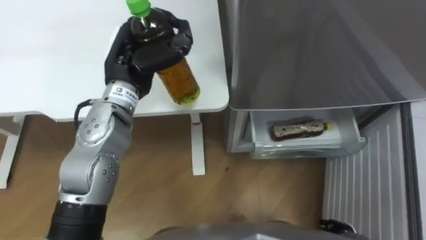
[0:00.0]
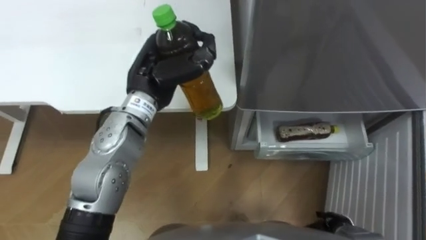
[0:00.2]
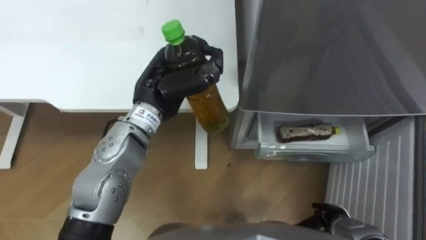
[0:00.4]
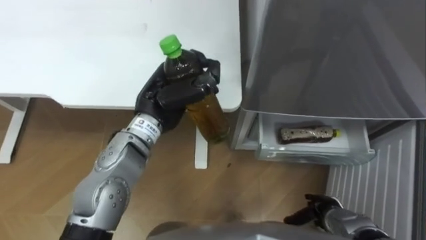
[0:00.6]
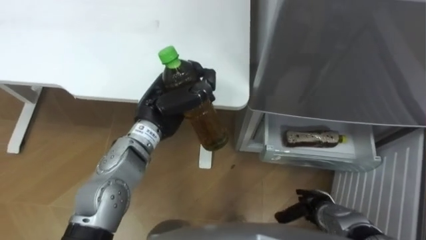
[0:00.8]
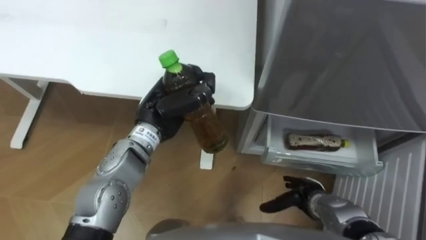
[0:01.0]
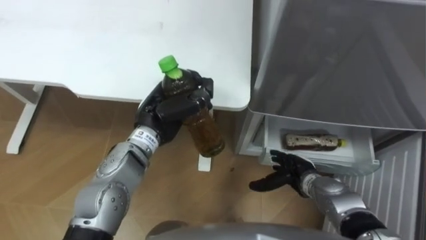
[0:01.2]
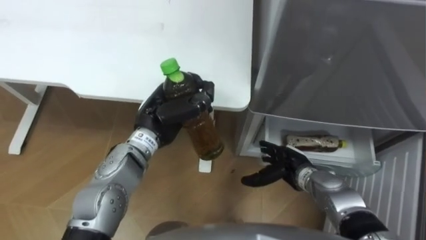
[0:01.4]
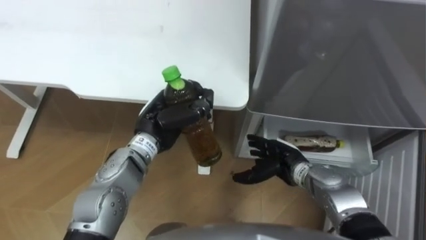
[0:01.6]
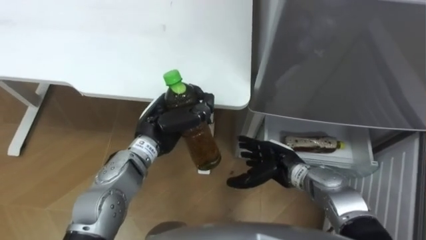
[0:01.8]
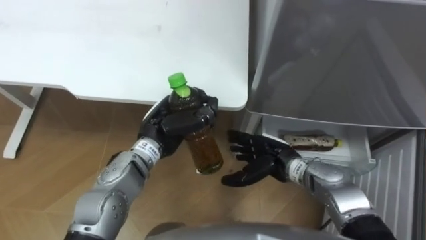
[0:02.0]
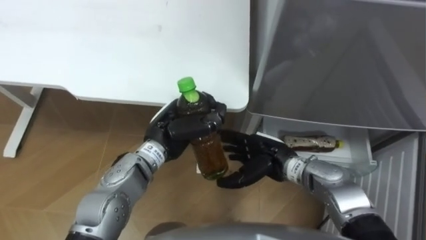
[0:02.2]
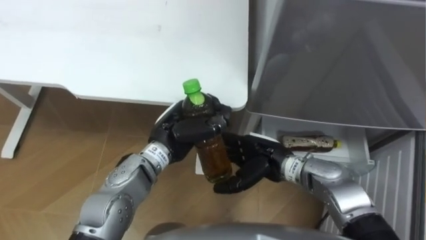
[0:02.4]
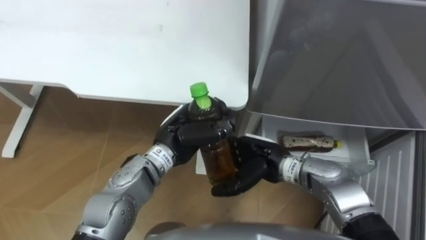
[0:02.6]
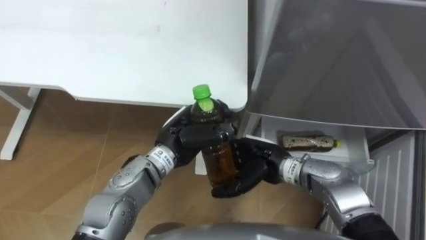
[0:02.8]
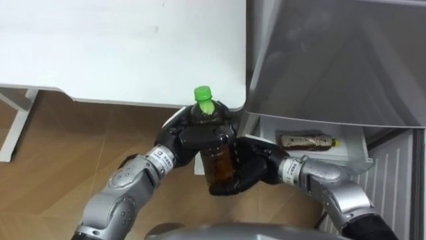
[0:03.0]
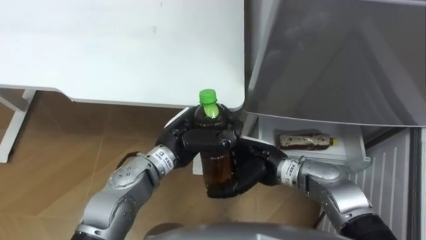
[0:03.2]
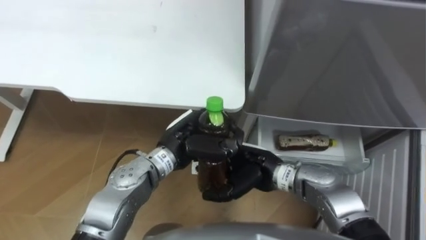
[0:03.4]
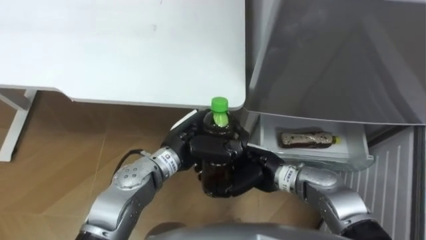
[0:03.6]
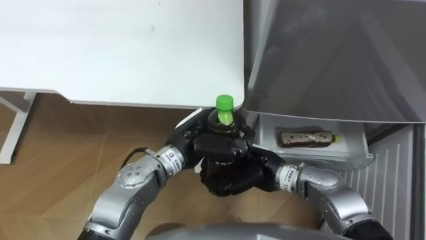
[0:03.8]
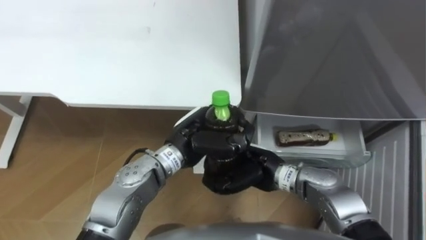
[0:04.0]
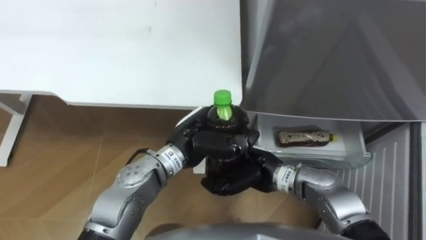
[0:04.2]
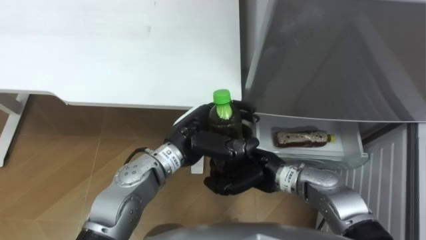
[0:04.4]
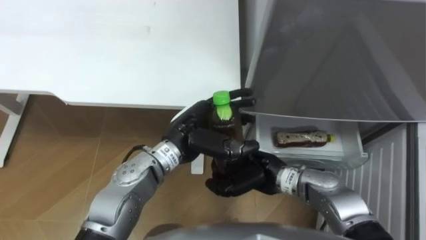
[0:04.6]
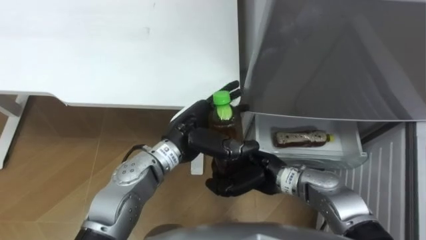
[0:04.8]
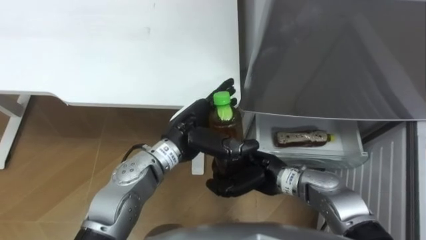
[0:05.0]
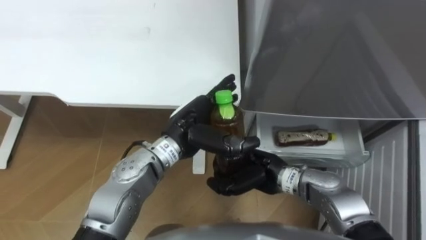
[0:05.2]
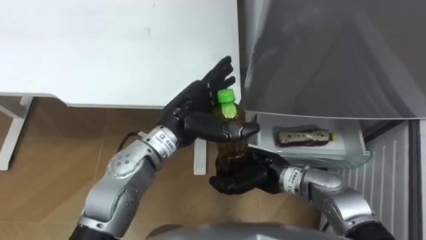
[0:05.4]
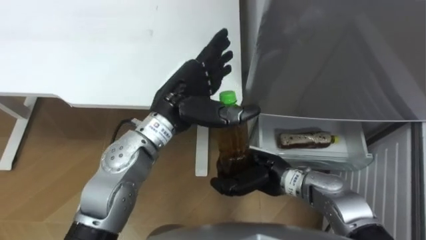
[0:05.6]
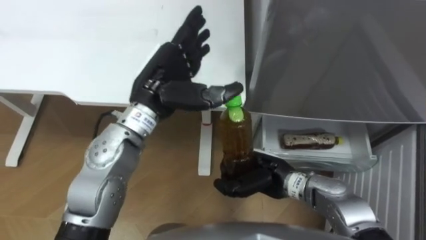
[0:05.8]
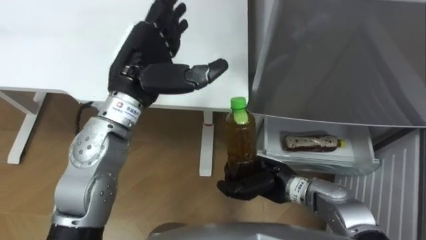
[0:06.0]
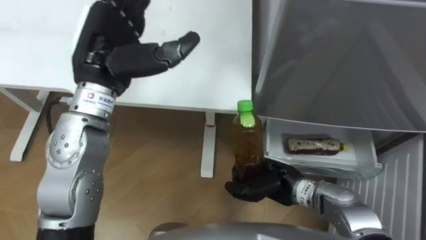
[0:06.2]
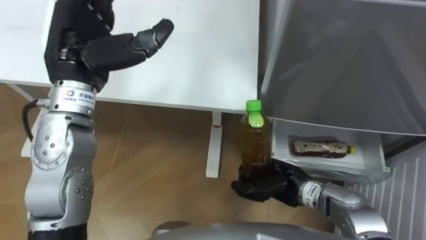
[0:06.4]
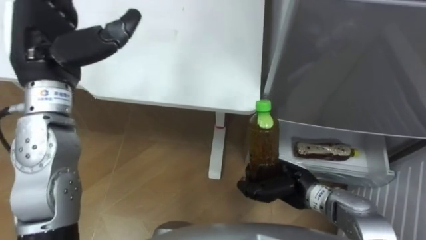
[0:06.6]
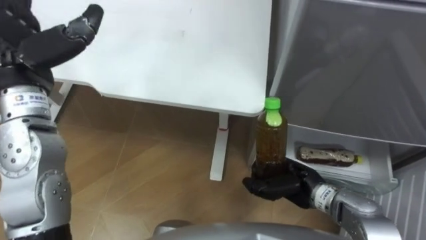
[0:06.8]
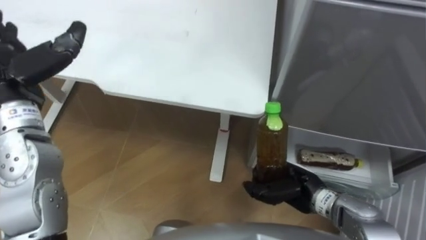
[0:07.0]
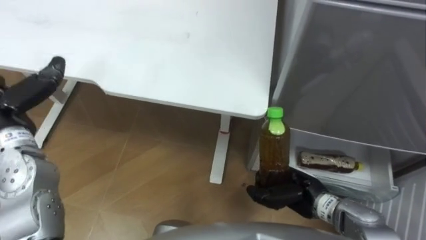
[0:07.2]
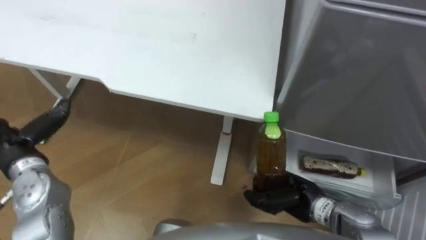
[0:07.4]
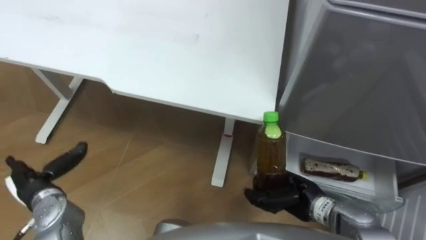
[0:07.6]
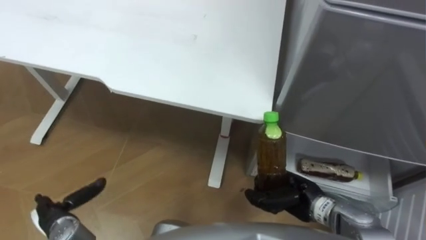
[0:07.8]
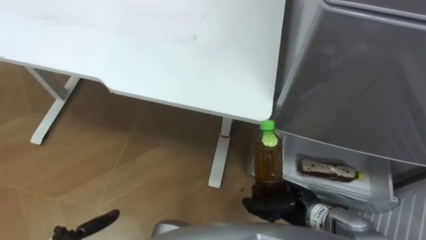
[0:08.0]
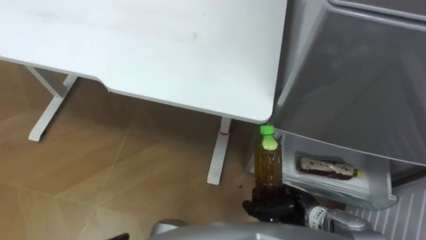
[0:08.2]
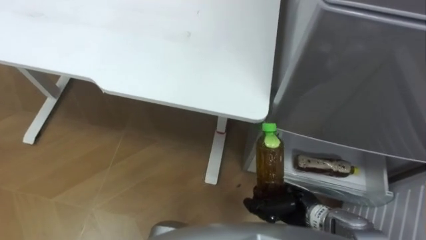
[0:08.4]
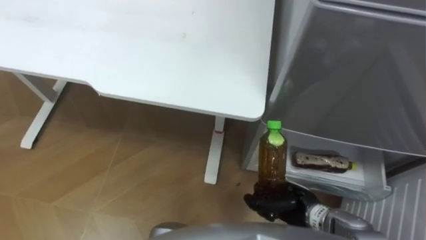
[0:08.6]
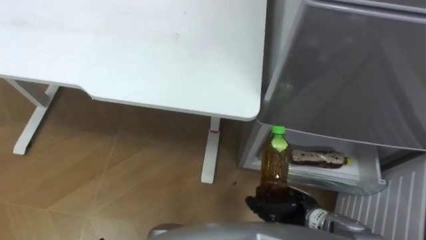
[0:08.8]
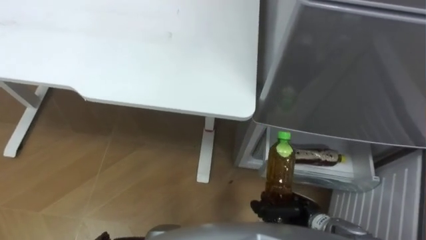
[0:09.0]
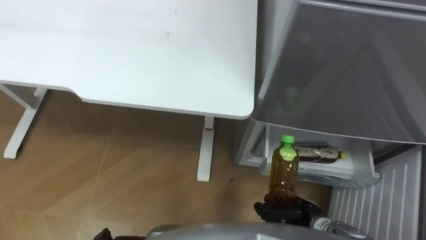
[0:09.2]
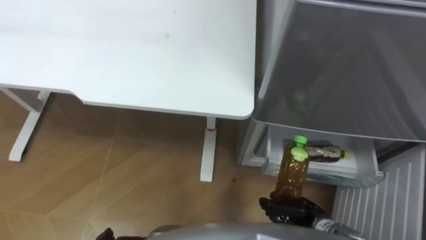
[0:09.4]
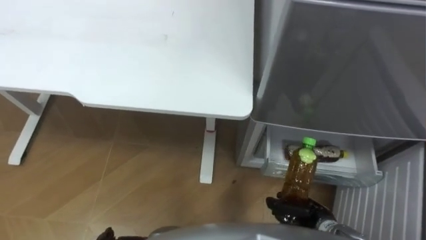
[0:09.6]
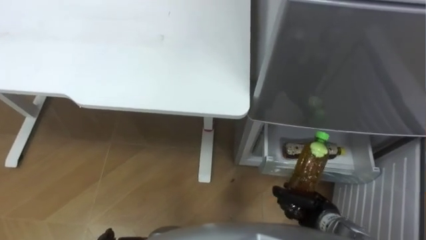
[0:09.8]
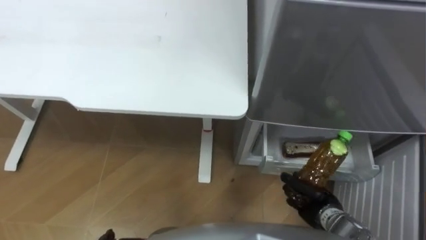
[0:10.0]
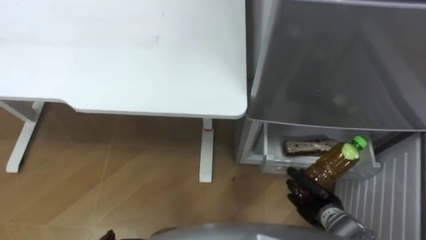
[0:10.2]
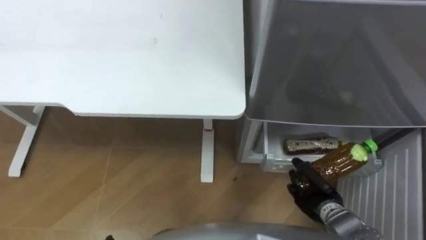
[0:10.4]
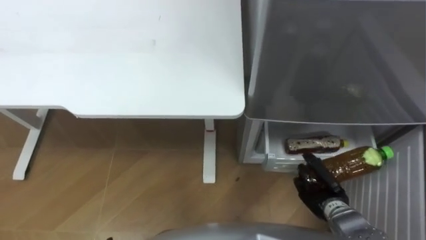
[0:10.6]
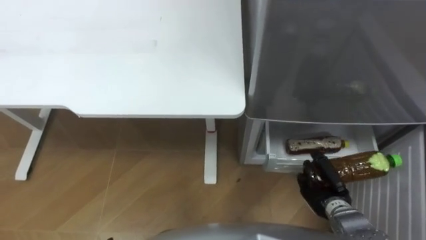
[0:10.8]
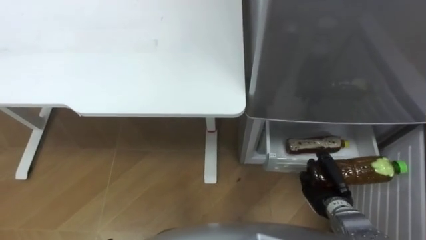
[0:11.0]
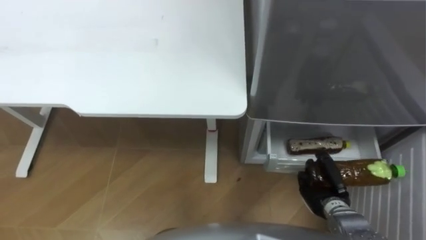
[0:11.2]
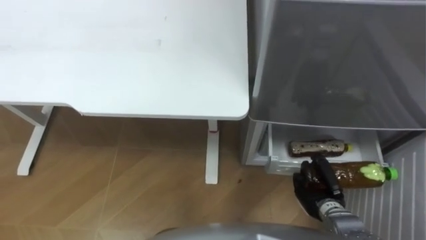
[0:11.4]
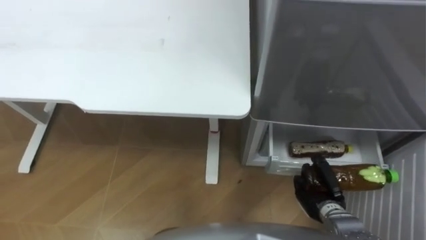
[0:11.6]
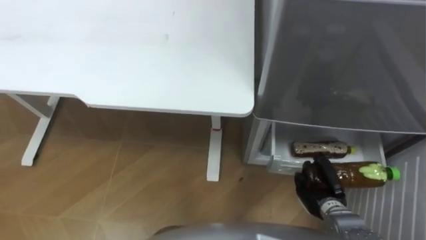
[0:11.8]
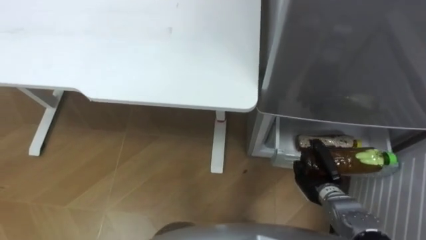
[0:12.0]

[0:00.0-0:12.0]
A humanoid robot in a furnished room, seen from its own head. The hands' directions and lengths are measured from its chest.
Task of the whole recording: Place the drink on the table on the bottom shelf of the refrigerator, then close the drawer and the refrigerator door.
0:00.0 to 0:01.6: The right hand travels forward, to the left and upward by approximately 20 cm. Meanwhile the left hand goes roughly 10 cm downward and backward.
0:01.6 to 0:03.0: The right hand moves to the left and upward, about 10 cm.
0:03.0 to 0:04.4: The right hand closes.
0:04.4 to 0:06.0: The left hand goes some 15 cm upward, to the left and forward, and opens up.
0:06.0 to 0:07.6: The right hand moves to the right, approximately 5 cm.
0:07.6 to 0:09.0: The right hand changes place by roughly 5 cm.
0:09.0 to 0:10.4: The right hand shifts roughly 5 cm to the right.

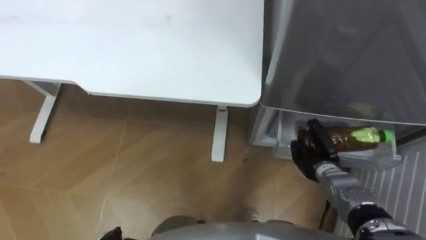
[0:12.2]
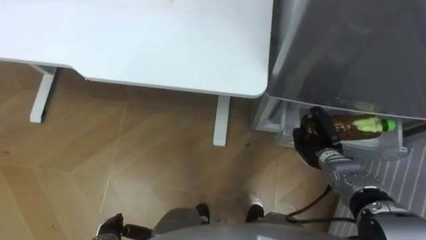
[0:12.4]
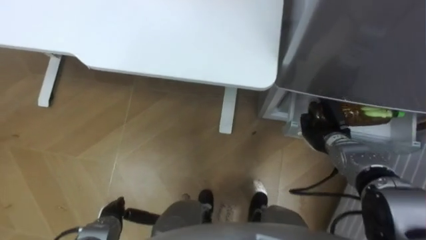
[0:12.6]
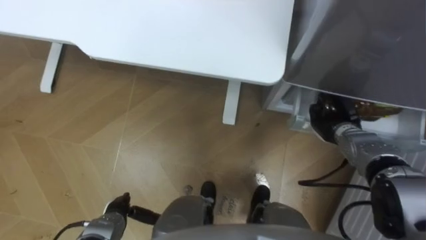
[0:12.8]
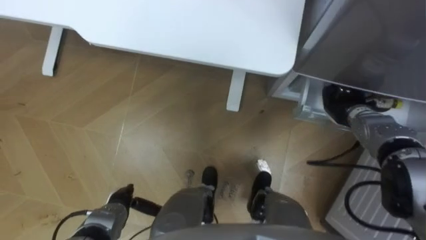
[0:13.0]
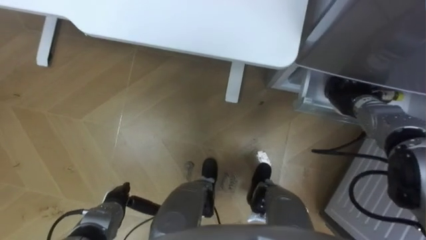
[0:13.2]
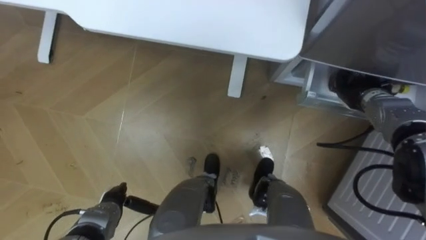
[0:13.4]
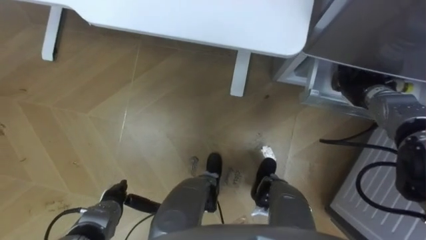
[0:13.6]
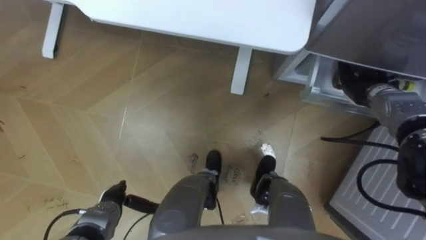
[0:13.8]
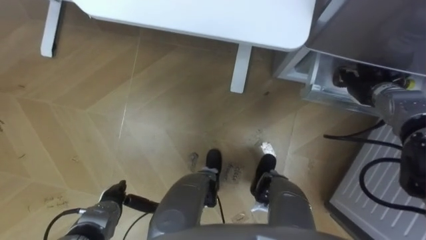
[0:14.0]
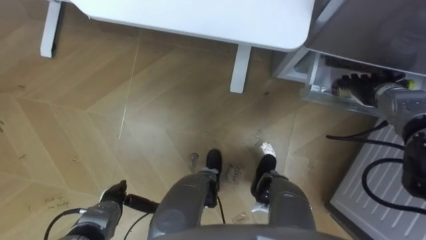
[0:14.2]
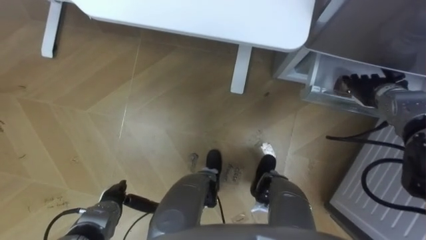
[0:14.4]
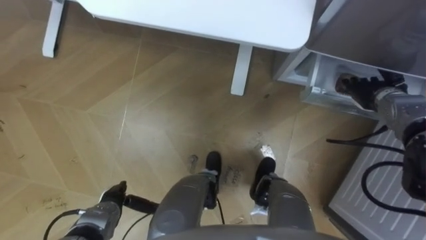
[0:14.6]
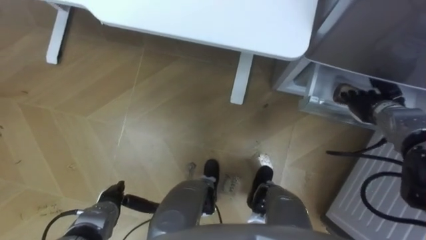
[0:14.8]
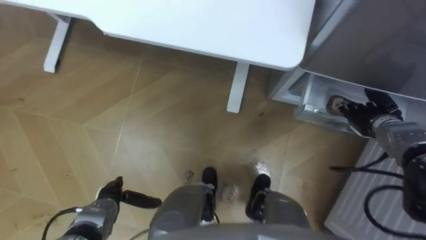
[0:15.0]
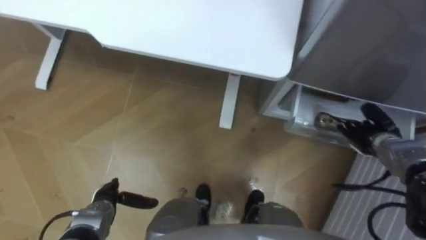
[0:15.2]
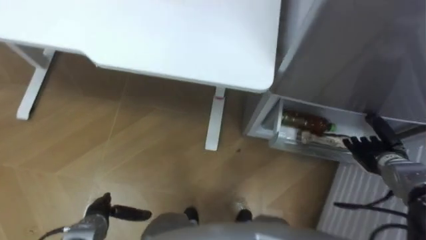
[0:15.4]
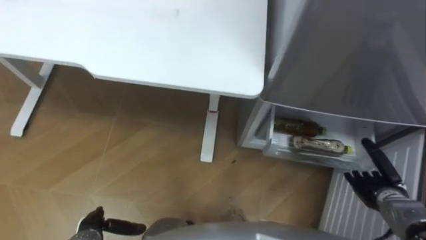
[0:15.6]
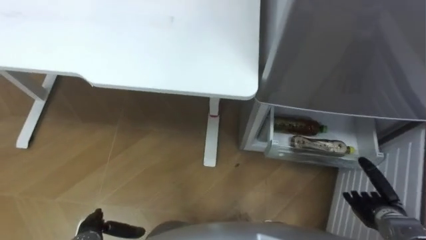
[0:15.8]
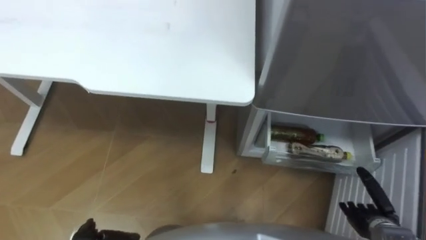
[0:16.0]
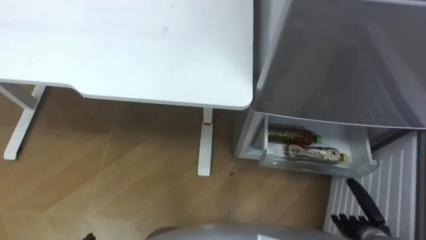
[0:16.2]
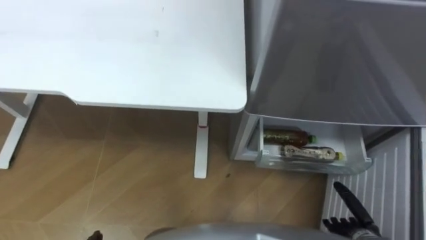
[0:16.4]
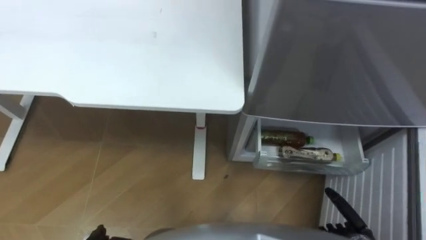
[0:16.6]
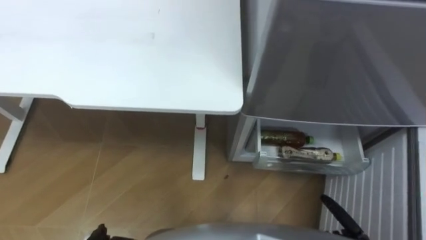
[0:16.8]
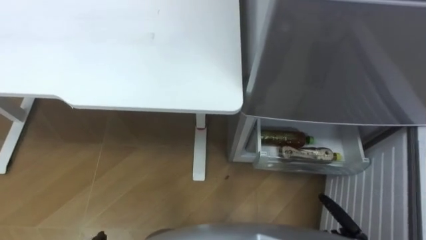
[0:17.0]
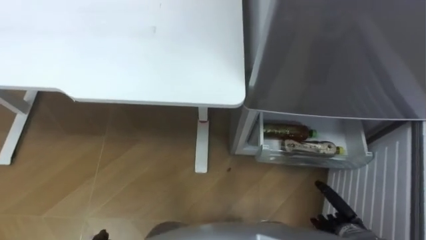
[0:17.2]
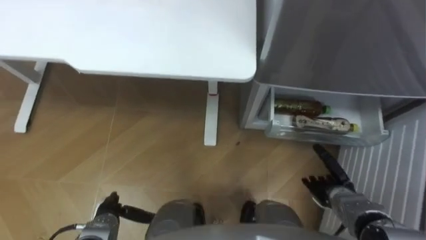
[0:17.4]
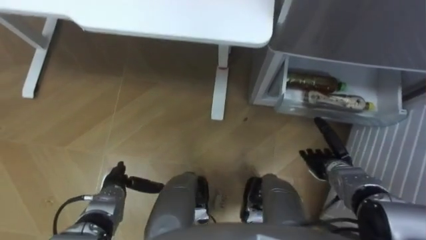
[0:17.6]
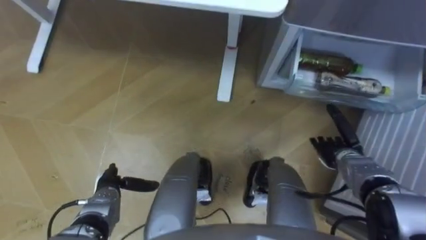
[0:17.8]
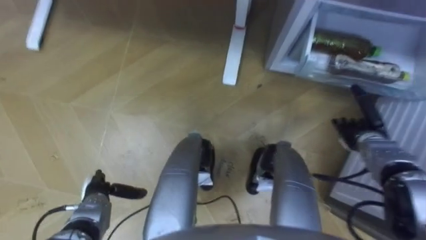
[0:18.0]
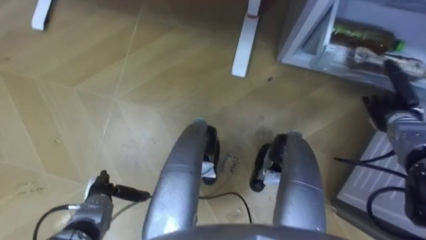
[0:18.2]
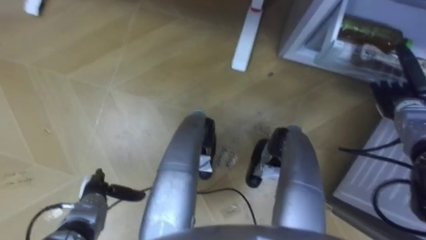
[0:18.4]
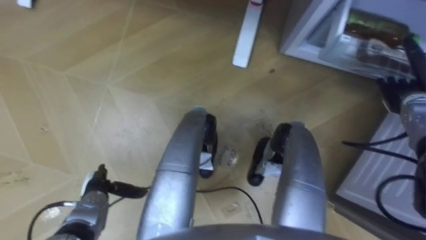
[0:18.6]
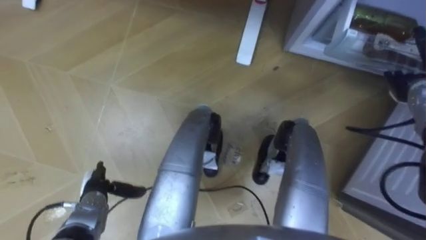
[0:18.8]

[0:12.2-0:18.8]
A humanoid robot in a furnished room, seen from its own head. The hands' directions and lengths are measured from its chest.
Task of the whole recording: Place the drink on the table on the bottom shelf of the refrigerator, then close the drawer and the refrigerator door.
0:12.2 to 0:13.8: The right hand moves forward, upward and to the right, roughly 20 cm, and opens up.
0:13.8 to 0:15.4: The right hand goes roughly 15 cm backward and downward.
0:17.2 to 0:18.8: The right hand shifts approximately 35 cm forward, upward and to the right.
